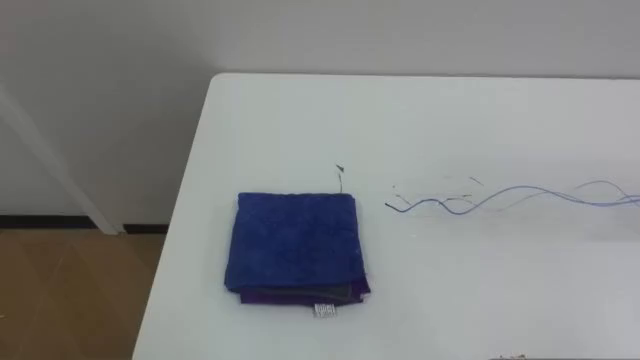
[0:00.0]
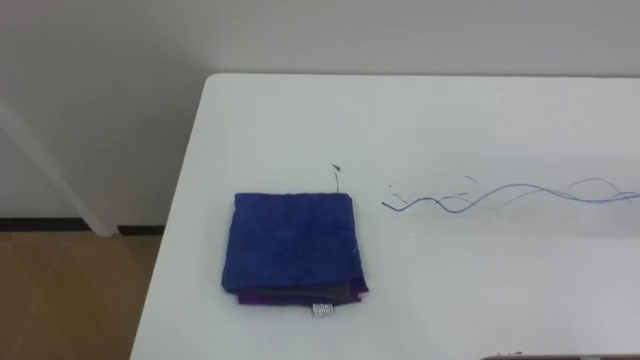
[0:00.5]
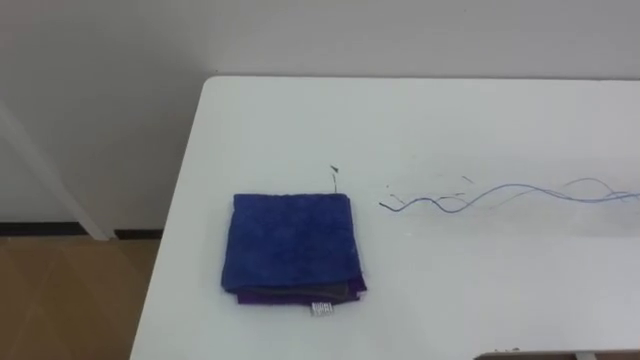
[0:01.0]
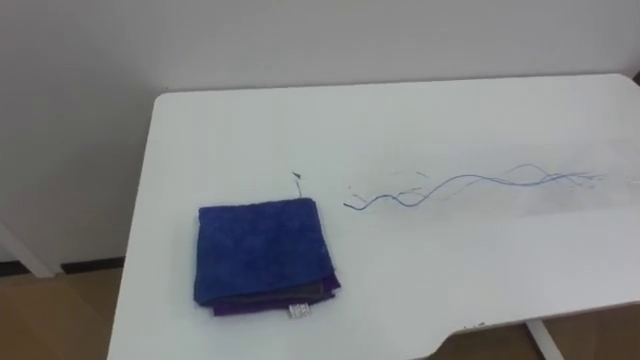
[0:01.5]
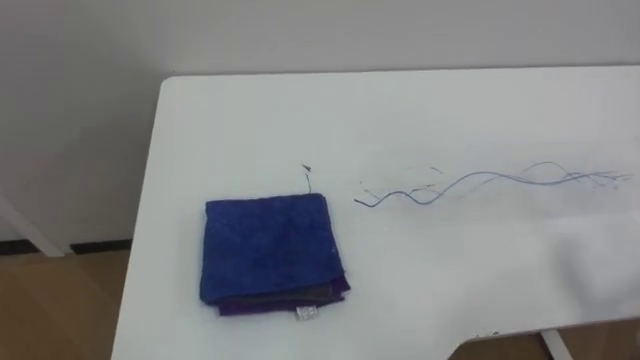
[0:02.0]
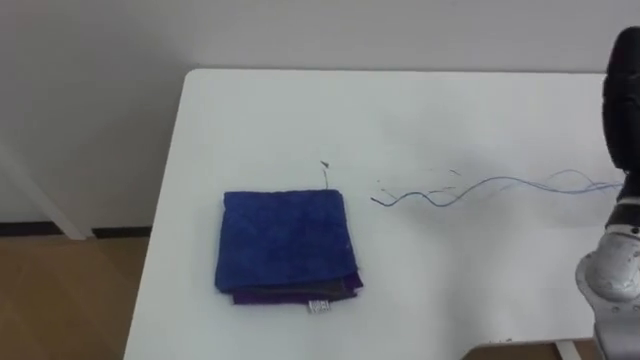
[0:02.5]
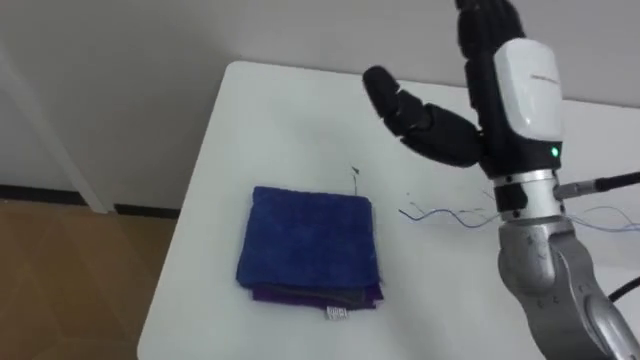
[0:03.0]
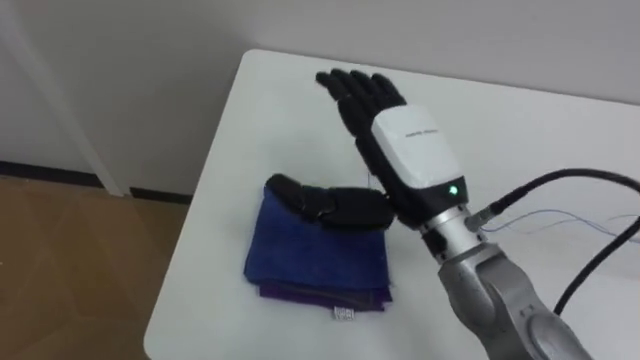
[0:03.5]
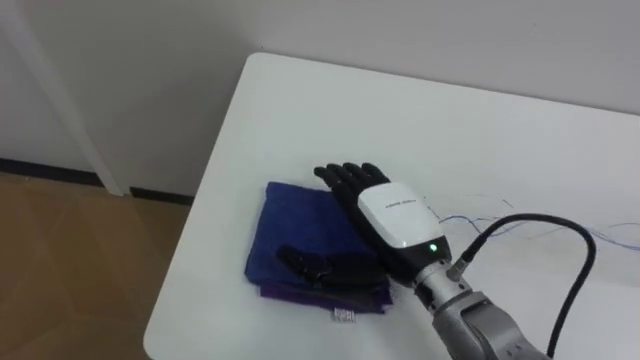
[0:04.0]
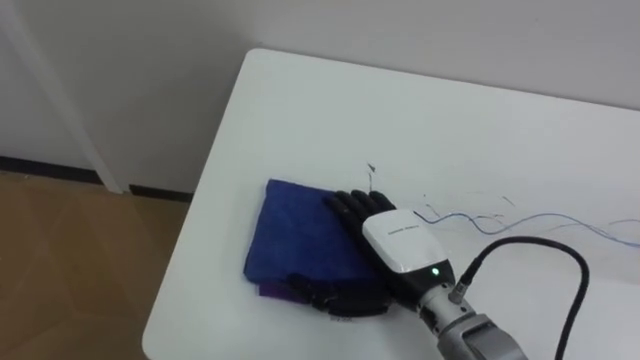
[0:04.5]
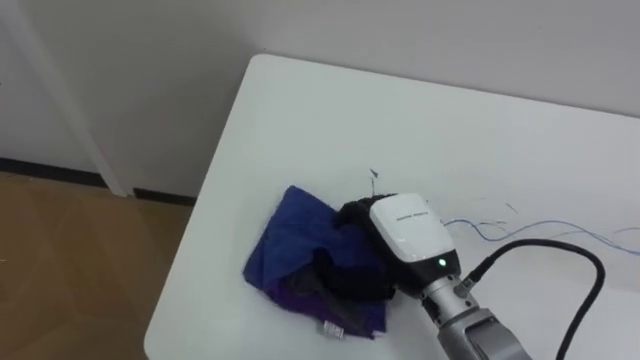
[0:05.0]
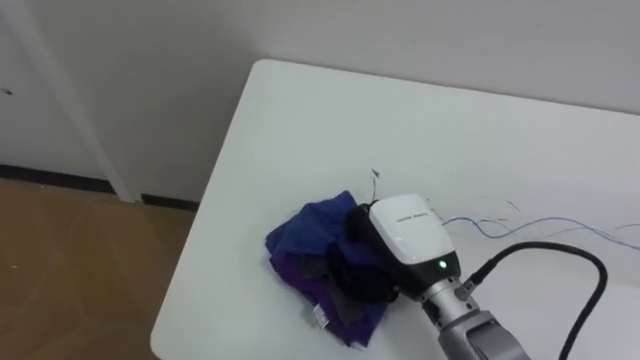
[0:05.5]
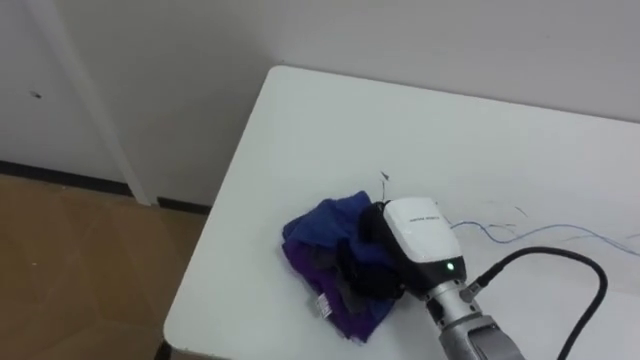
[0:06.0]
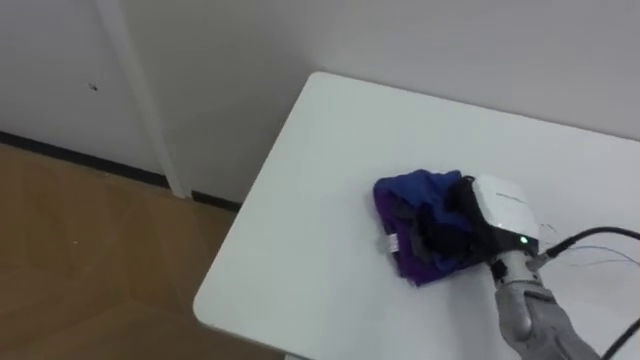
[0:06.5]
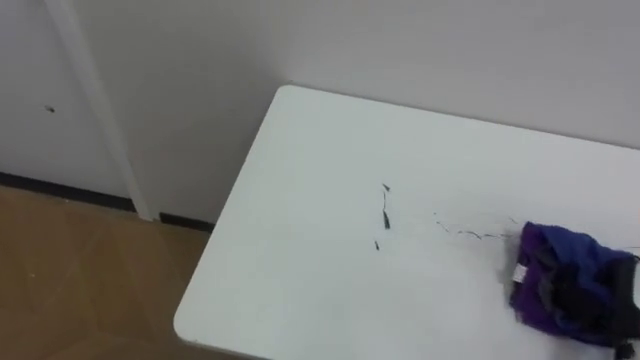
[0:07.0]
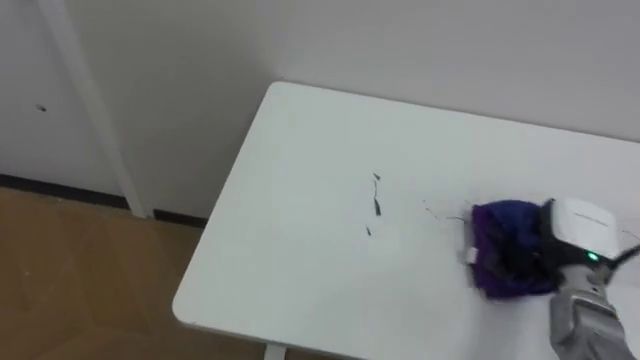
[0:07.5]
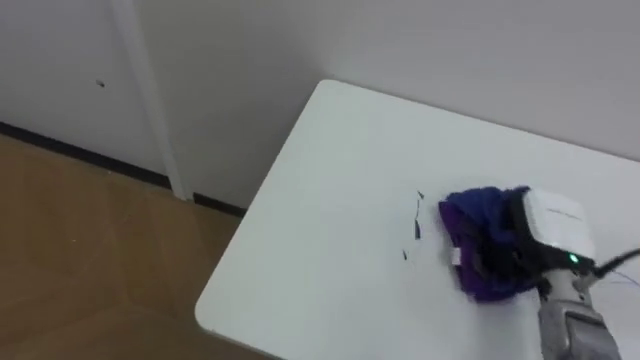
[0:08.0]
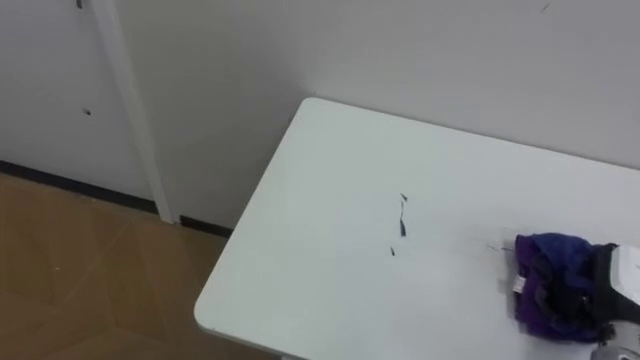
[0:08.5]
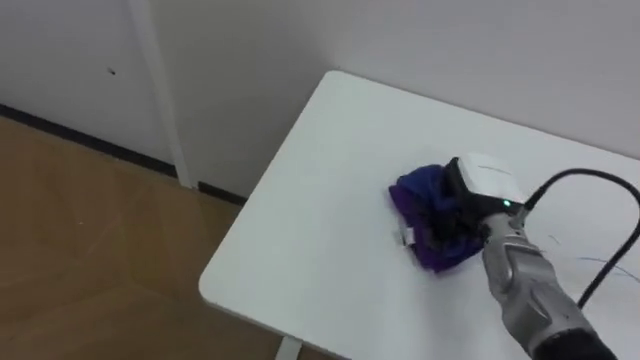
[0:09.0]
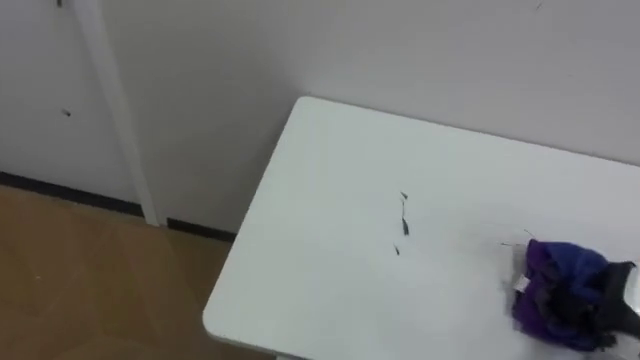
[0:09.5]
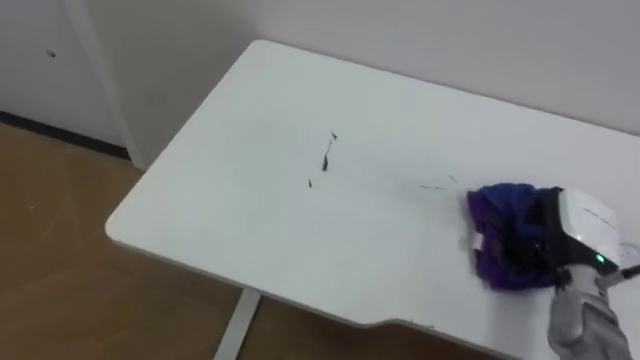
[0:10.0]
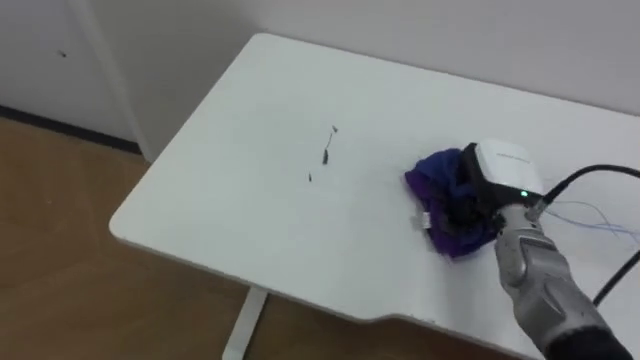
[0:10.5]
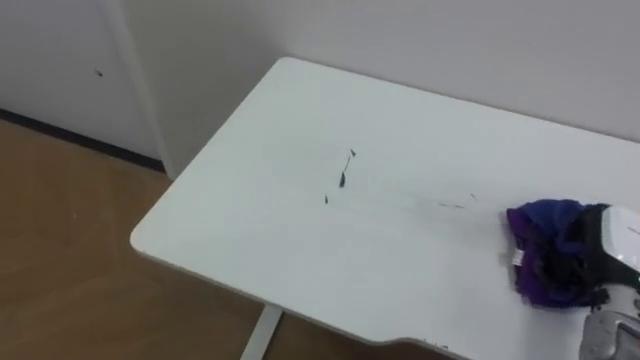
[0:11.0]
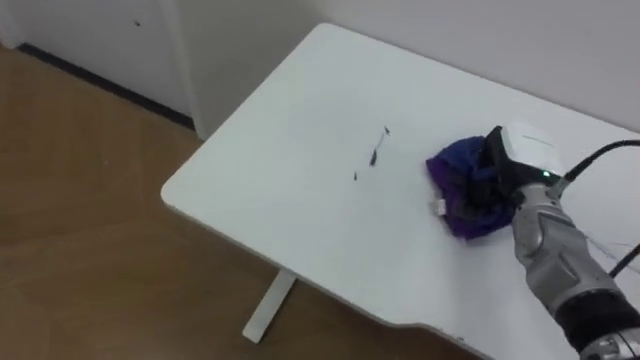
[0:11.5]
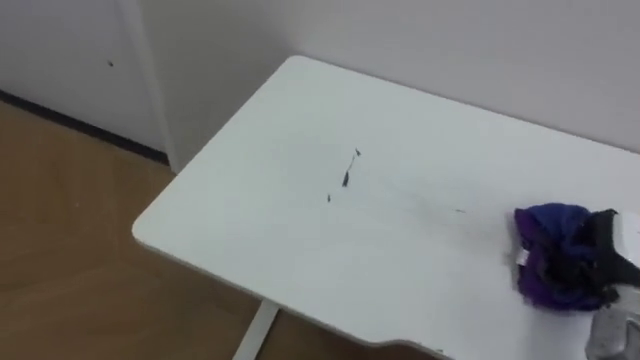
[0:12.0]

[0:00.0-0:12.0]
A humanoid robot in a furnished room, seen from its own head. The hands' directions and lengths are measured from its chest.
Task of the whole recording: Wipe the blue pen marks off the table with the rag.
0:04.0 to 0:06.0: The right hand closes its fingers.
0:08.0 to 0:10.0: The right hand swings left and right, roughly 15 cm each way, with 3 reversals.
0:10.0 to 0:12.0: The right hand swings left and right, about 15 cm each way, with 3 reversals.

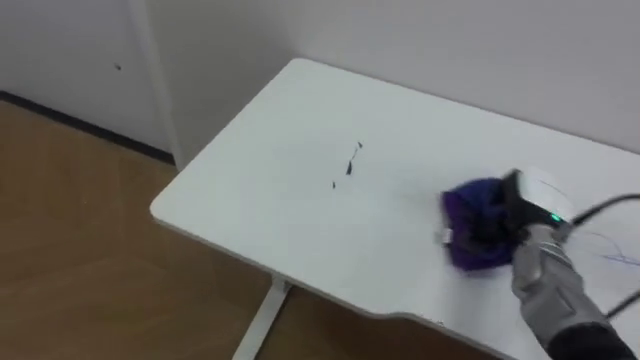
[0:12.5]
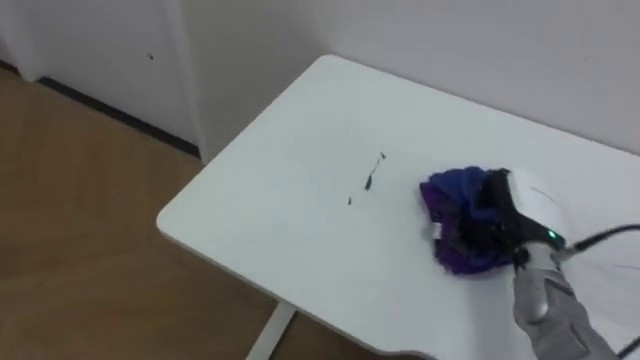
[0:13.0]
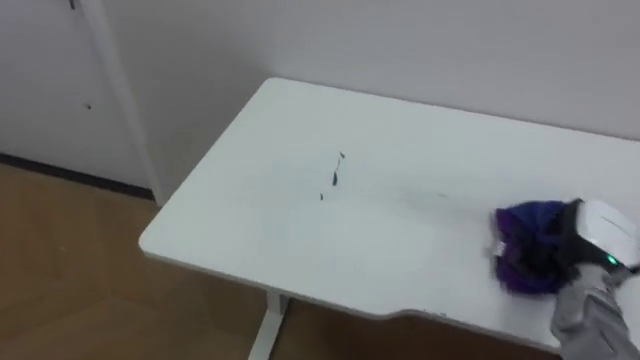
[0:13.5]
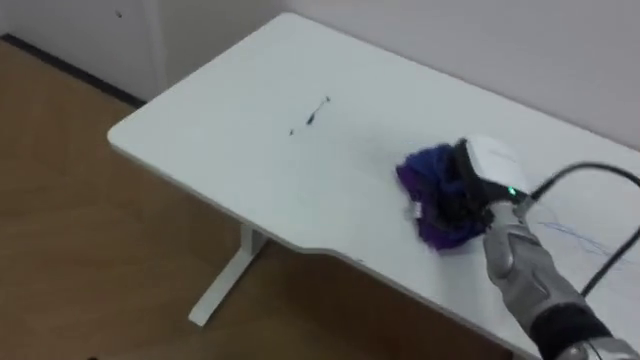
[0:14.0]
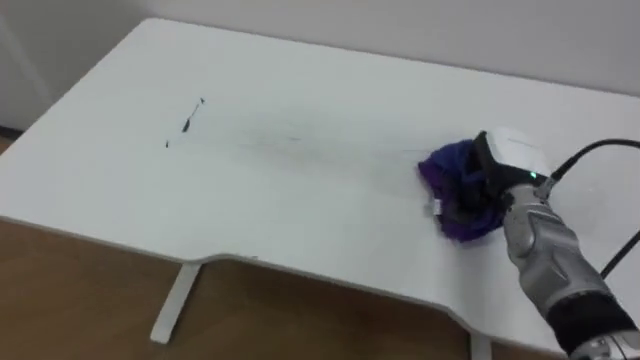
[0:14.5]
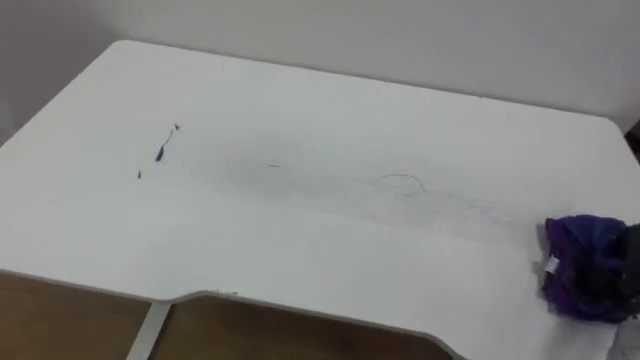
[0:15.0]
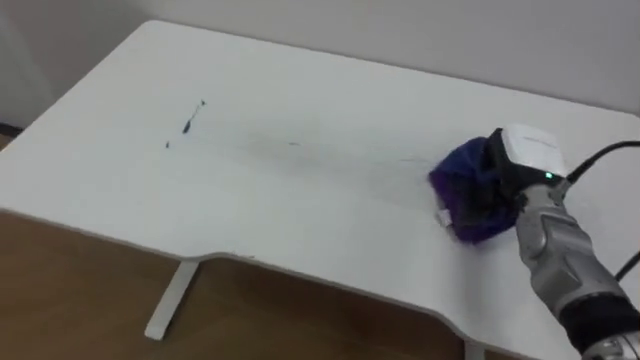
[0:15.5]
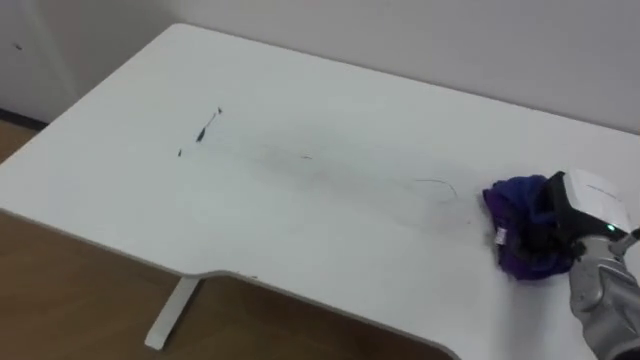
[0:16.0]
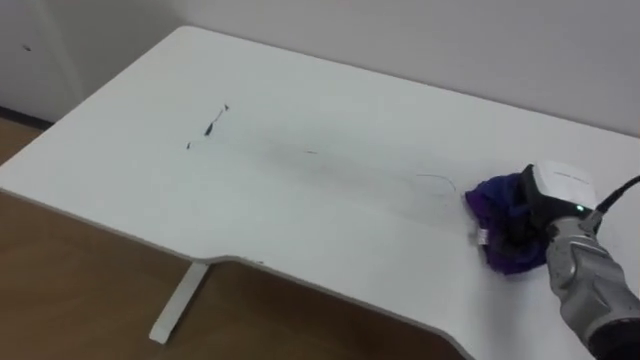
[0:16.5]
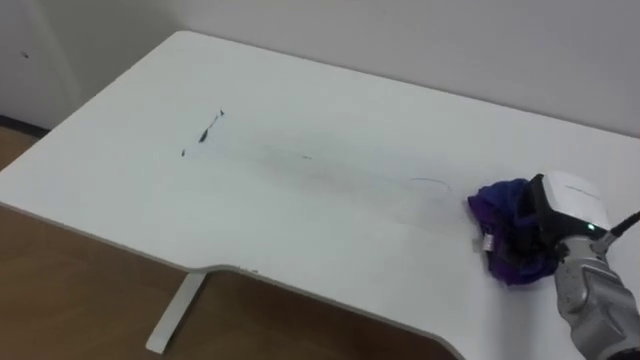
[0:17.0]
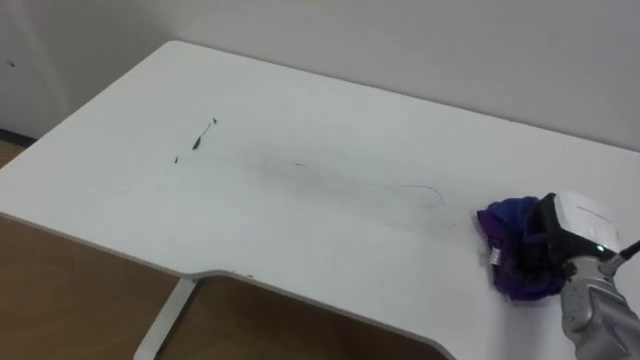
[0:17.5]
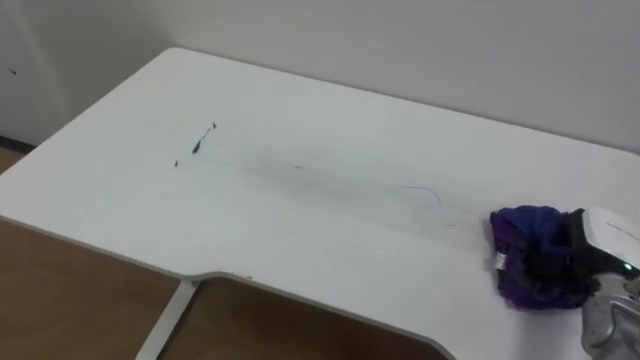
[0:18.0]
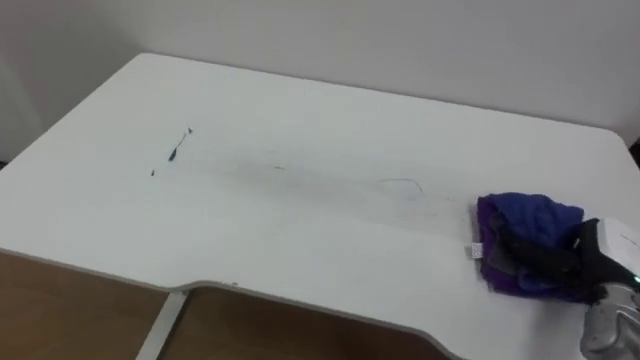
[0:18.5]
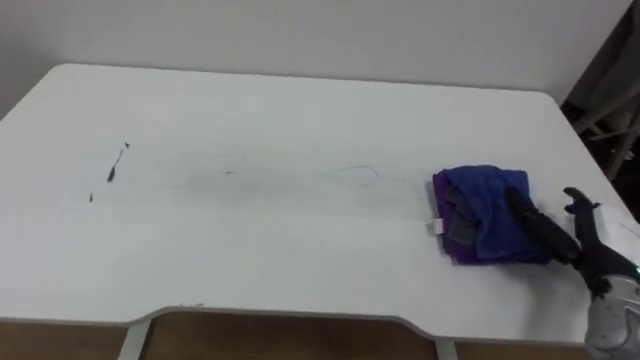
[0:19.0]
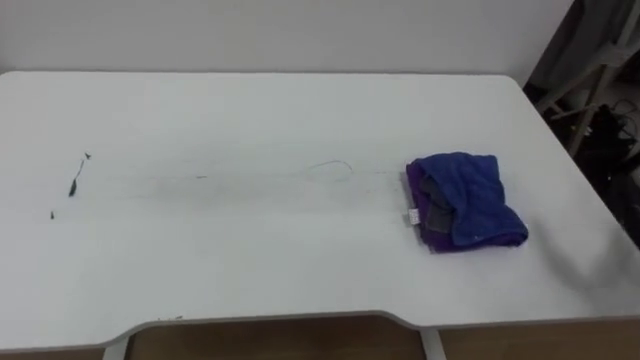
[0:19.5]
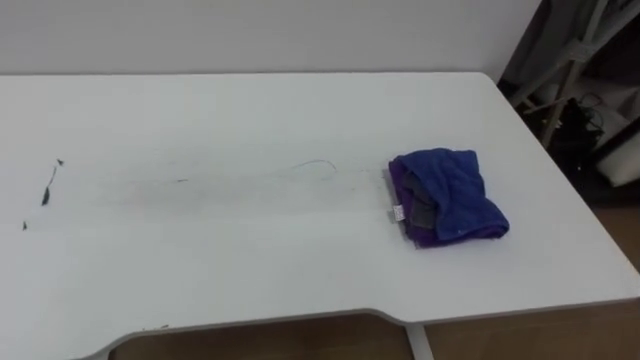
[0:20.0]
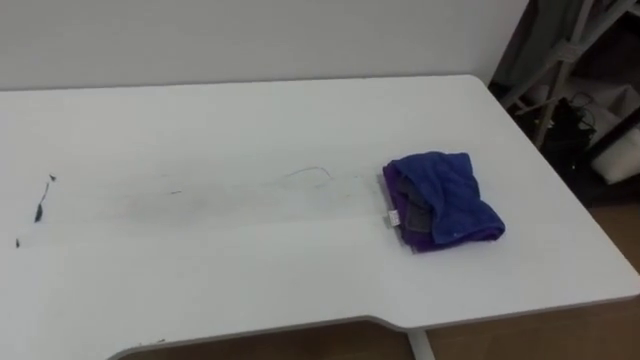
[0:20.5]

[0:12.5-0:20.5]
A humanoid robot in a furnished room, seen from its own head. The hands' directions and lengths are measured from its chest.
Task of the whole recording: Wipe the blue pen marks off the table with the rag.
0:12.5 to 0:14.5: The right hand moves left and right over roughly 15 cm, changing direction 2 times.
0:16.5 to 0:18.5: The right hand goes roughly 10 cm backward and to the right, and opens its fingers.
